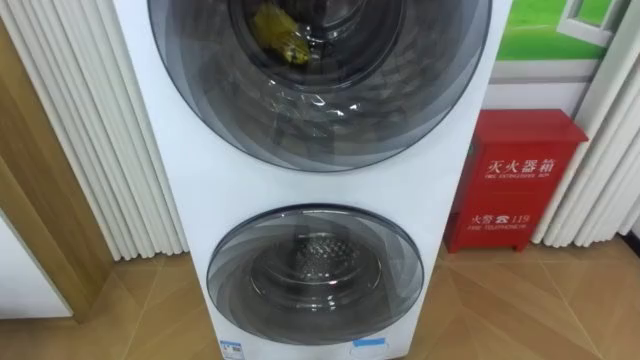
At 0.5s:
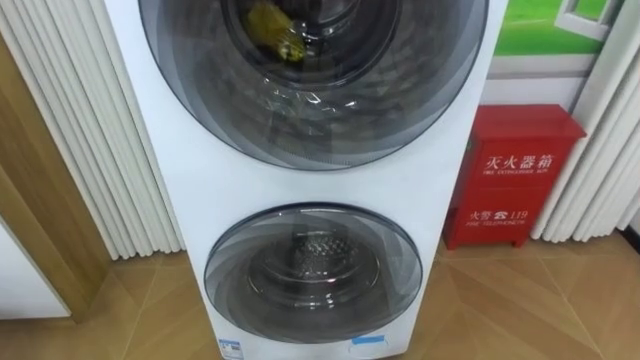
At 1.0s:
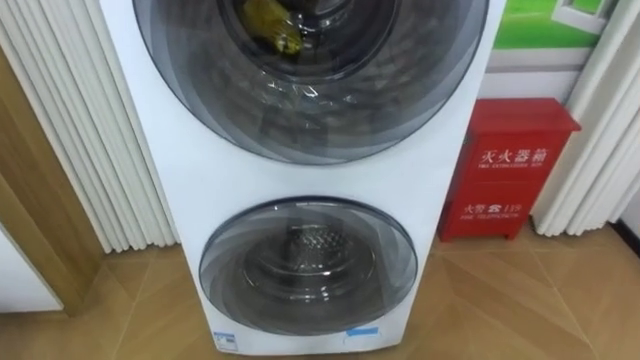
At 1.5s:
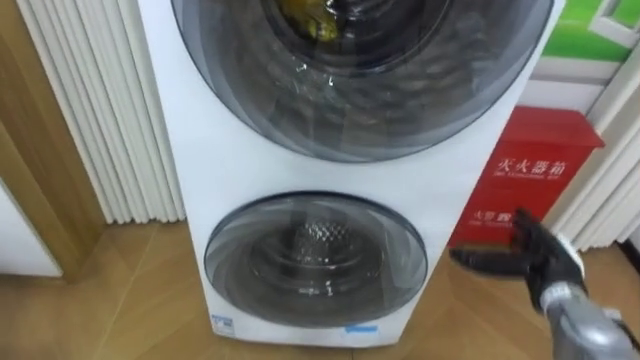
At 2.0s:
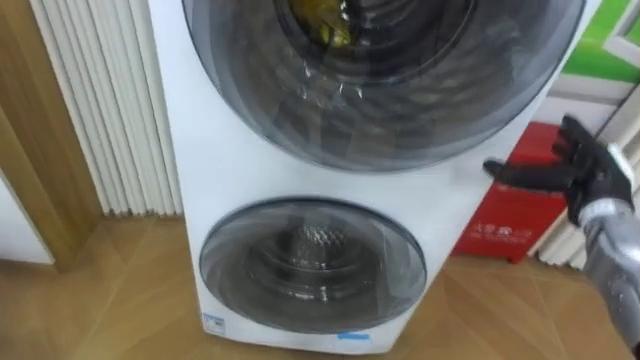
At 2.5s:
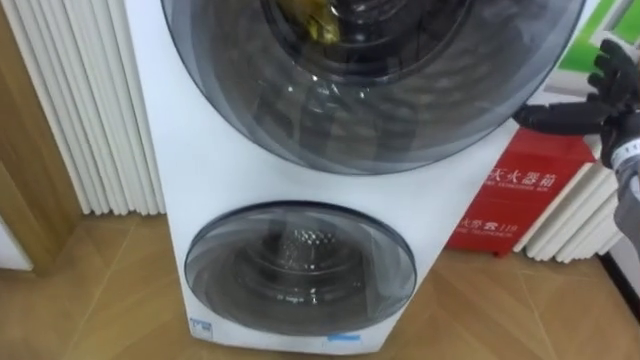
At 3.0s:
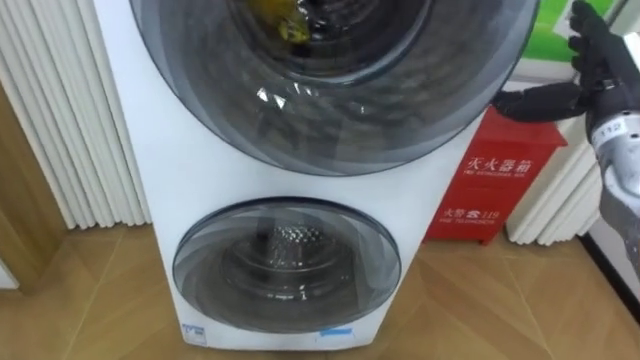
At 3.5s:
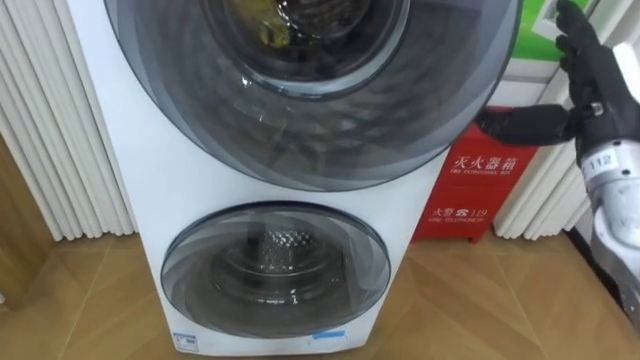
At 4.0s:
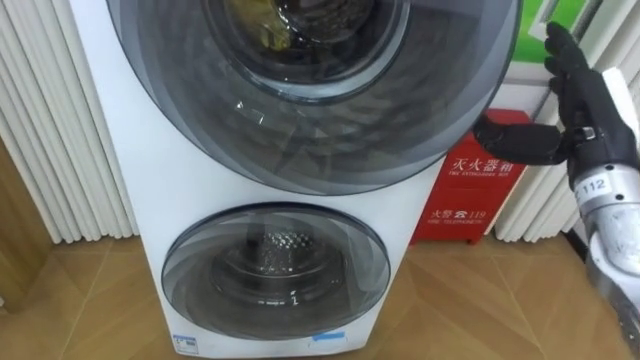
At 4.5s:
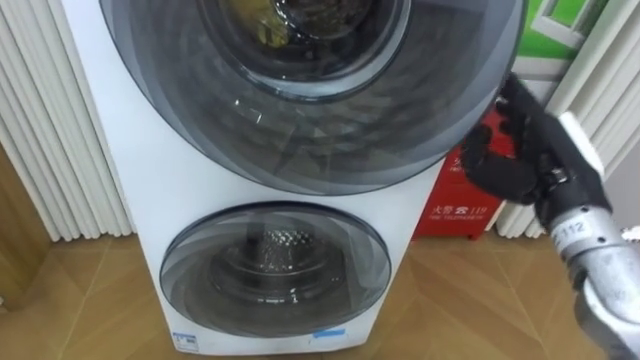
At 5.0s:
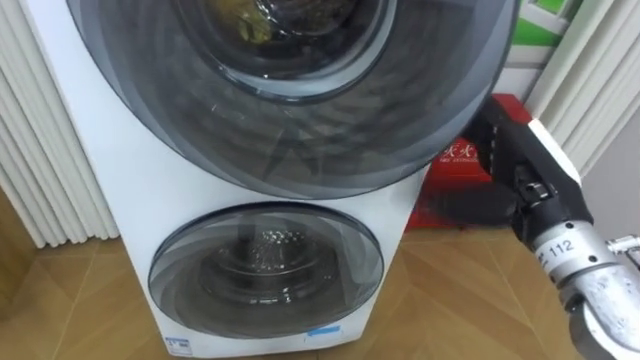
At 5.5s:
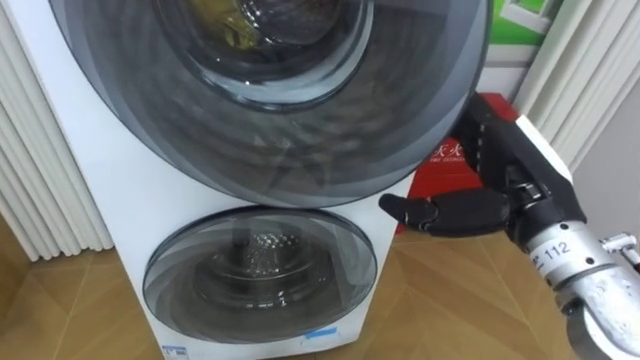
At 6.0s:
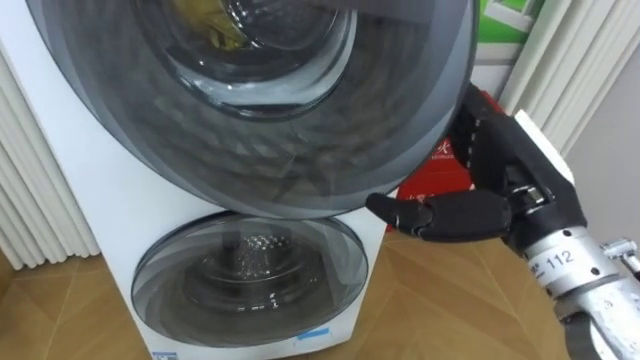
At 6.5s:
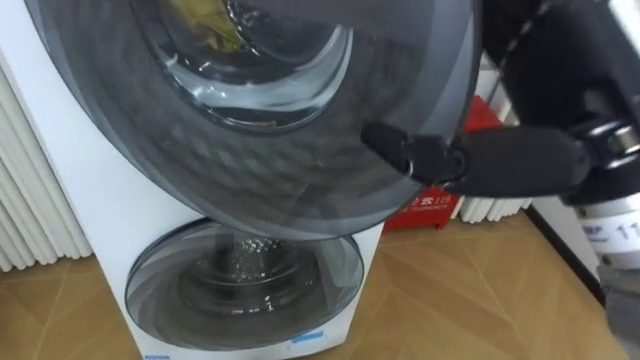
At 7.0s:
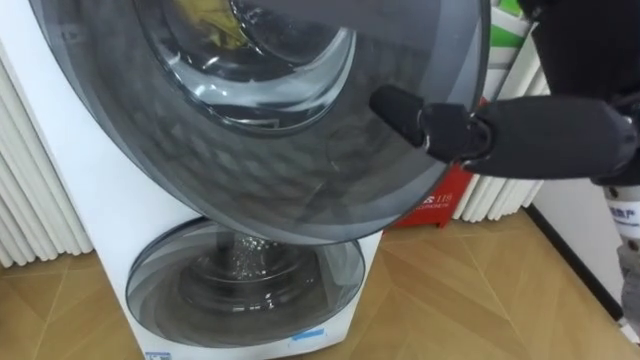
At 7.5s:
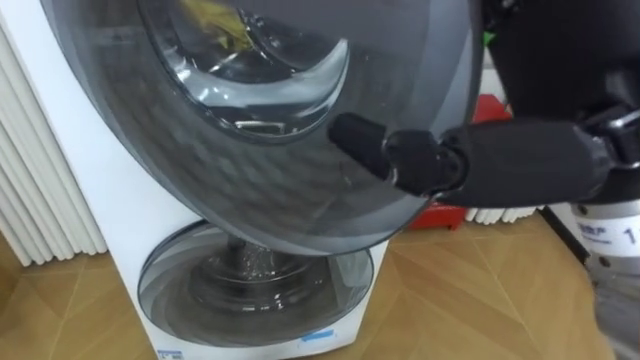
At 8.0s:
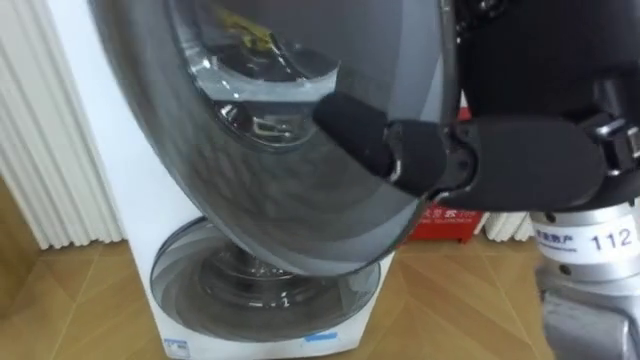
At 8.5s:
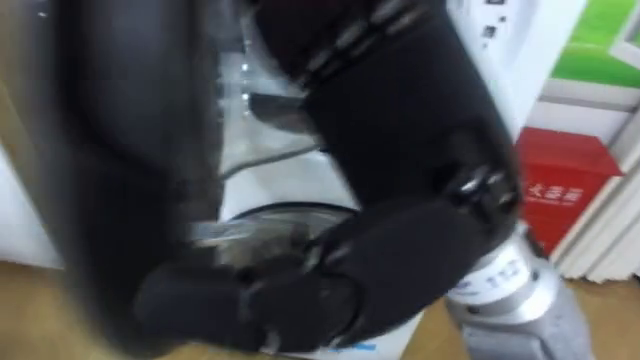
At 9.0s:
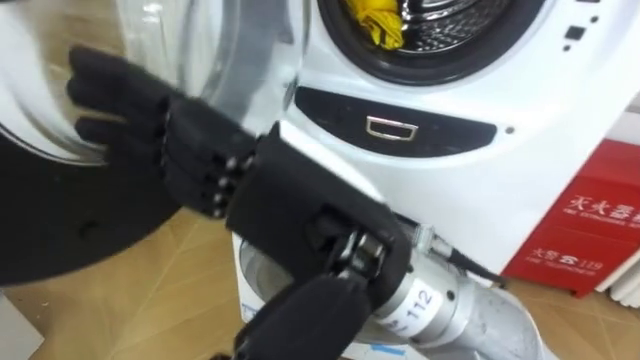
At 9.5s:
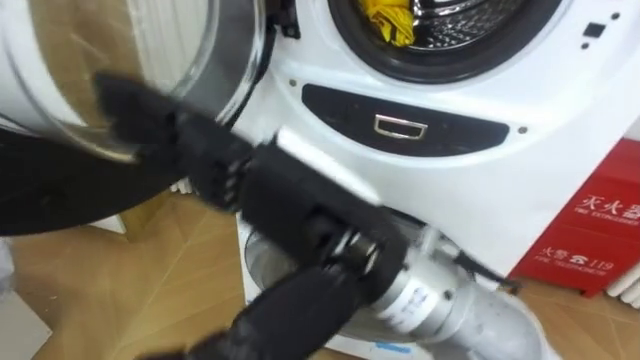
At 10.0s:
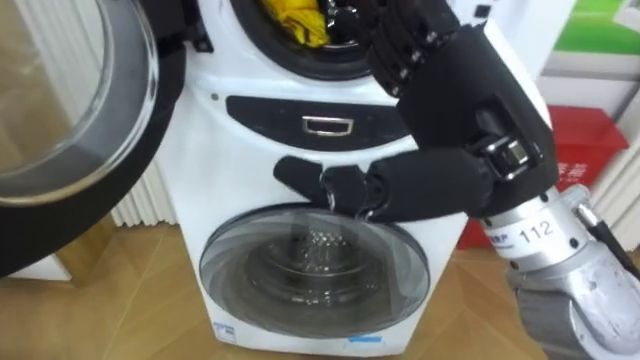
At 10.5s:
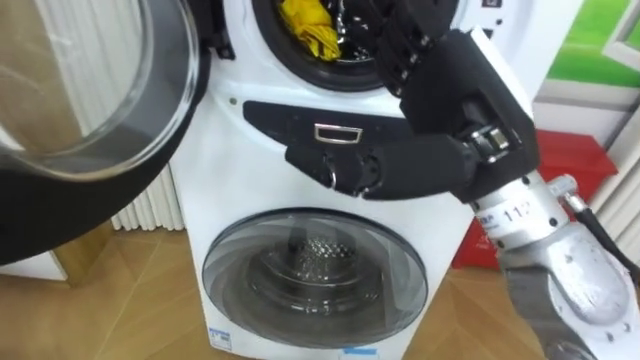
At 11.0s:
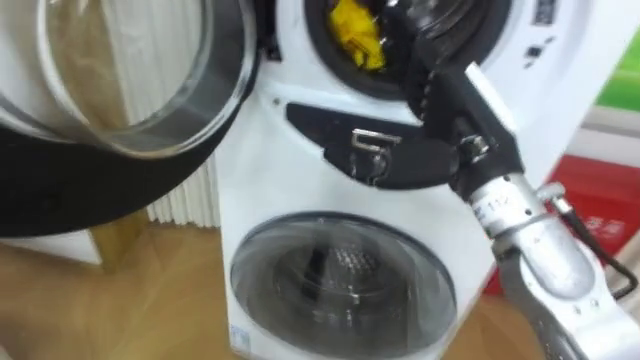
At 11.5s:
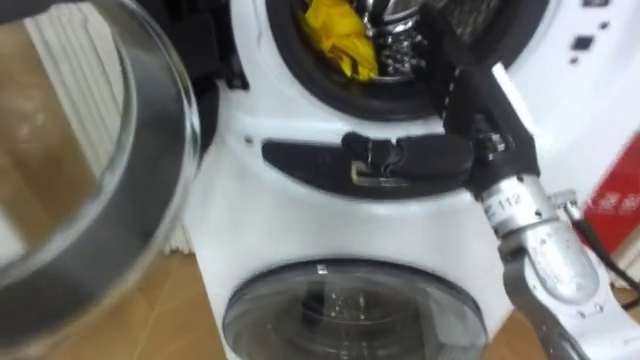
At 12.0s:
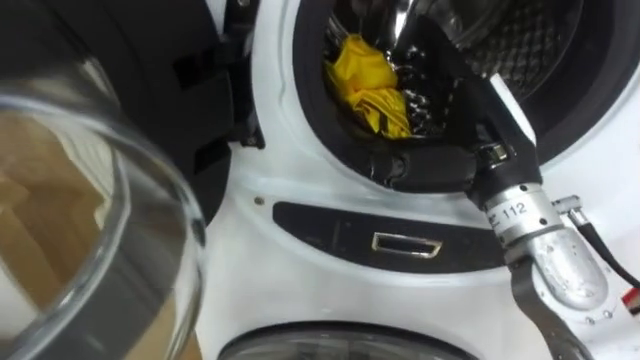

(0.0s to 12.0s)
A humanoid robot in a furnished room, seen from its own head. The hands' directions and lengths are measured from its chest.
Task of the whole recording: Open the washing machine door, take out the yellow clothes, place them in the box on the right, and close the washing machine door.
2.0s - 4.0s: The right hand is displaced upward and to the left by approximately 10 cm.
4.0s - 6.0s: The right hand moves to the left and backward, roughly 10 cm.
6.0s - 8.0s: The right hand heads upward and backward, covering some 15 cm.
8.0s - 10.0s: The right hand reaches about 15 cm to the left, then returns.
10.0s - 12.0s: The right hand shifts roughly 10 cm forward and downward.

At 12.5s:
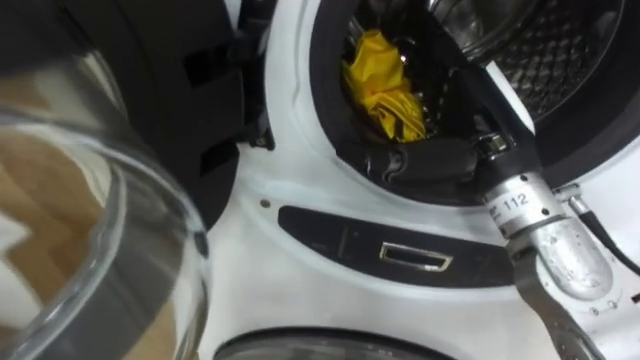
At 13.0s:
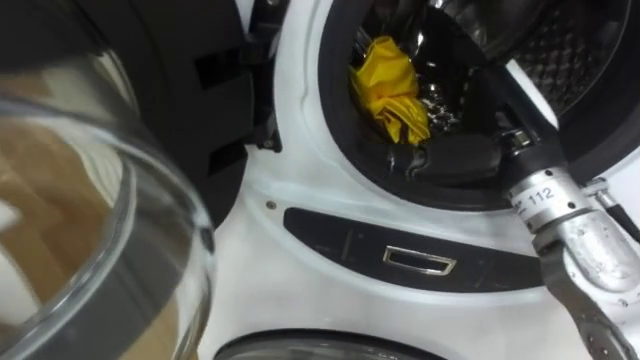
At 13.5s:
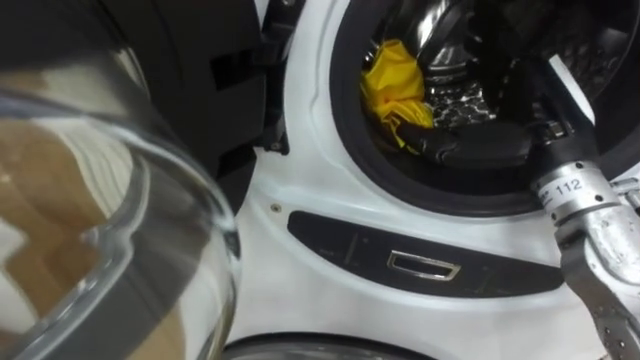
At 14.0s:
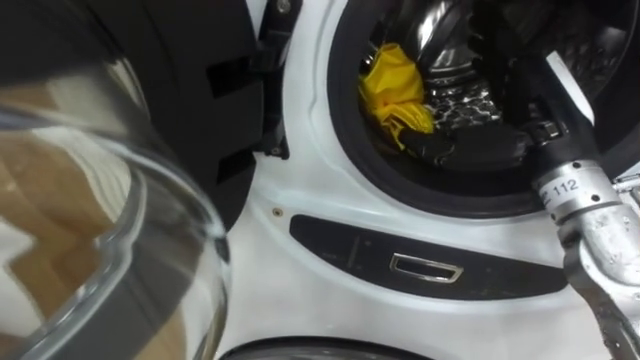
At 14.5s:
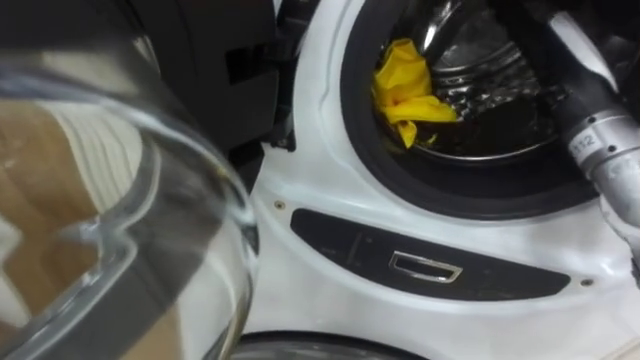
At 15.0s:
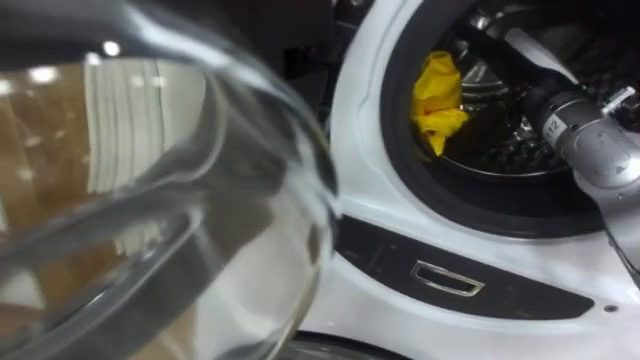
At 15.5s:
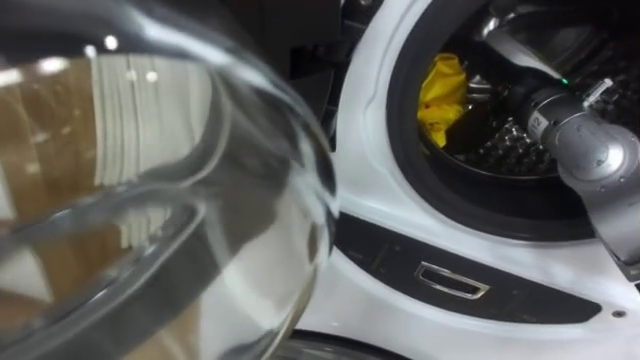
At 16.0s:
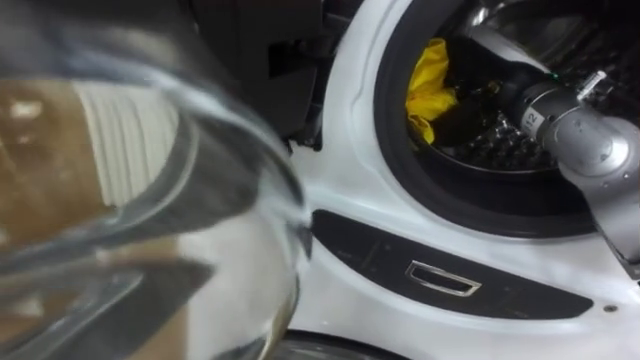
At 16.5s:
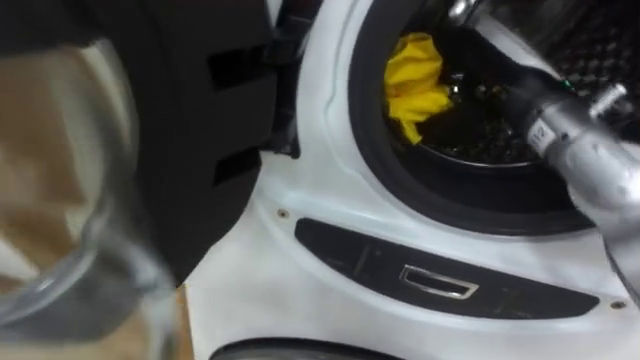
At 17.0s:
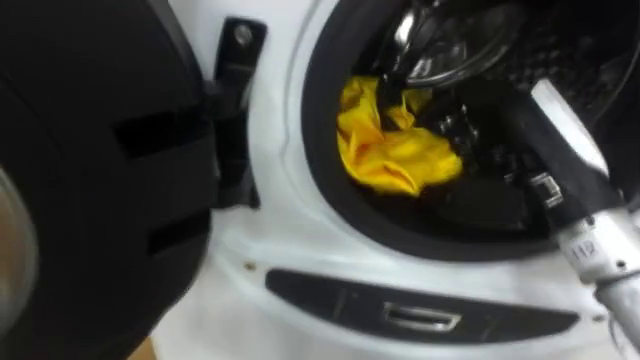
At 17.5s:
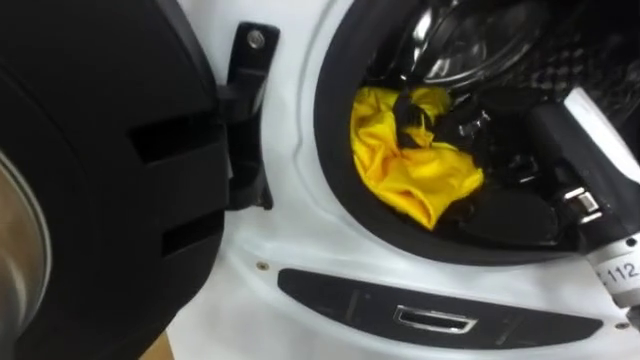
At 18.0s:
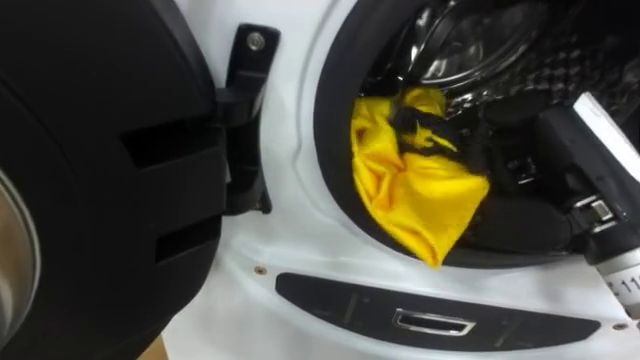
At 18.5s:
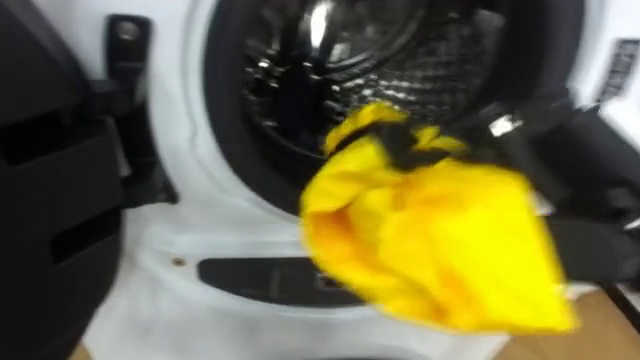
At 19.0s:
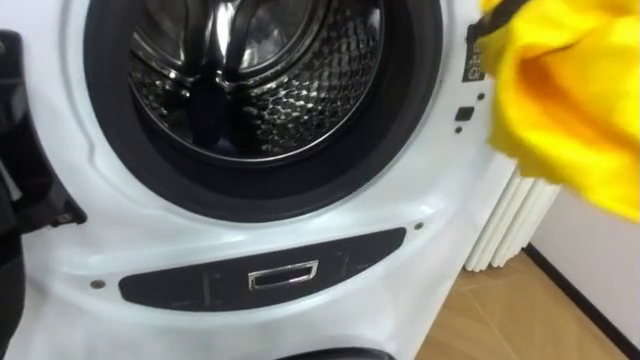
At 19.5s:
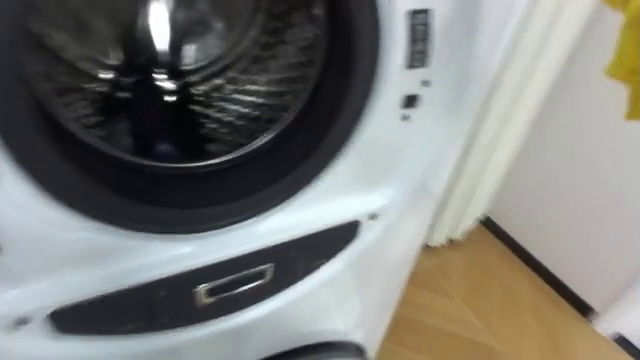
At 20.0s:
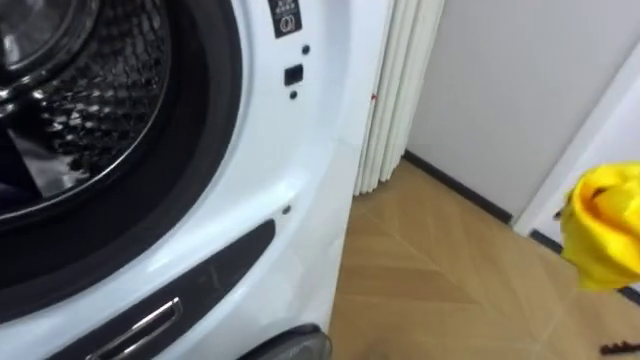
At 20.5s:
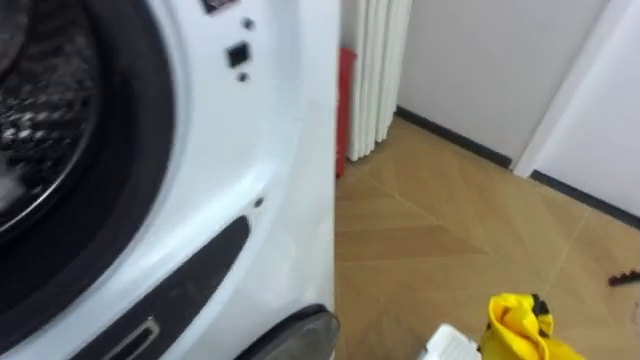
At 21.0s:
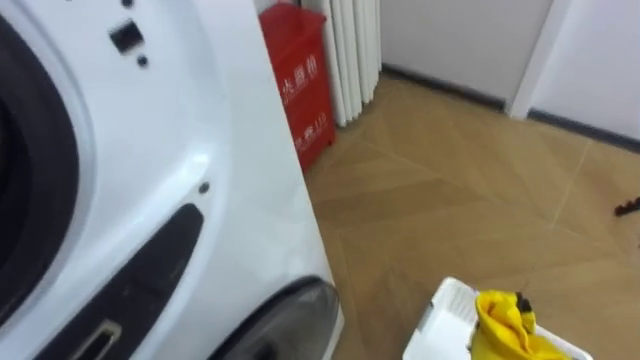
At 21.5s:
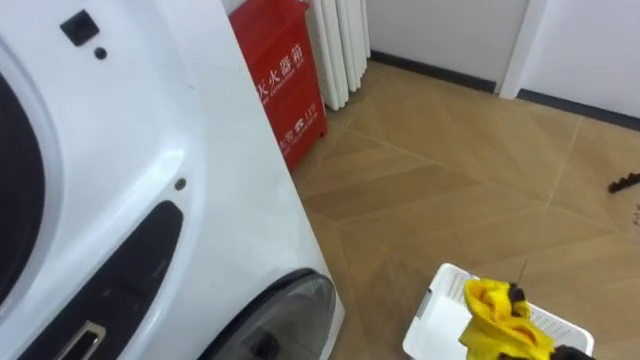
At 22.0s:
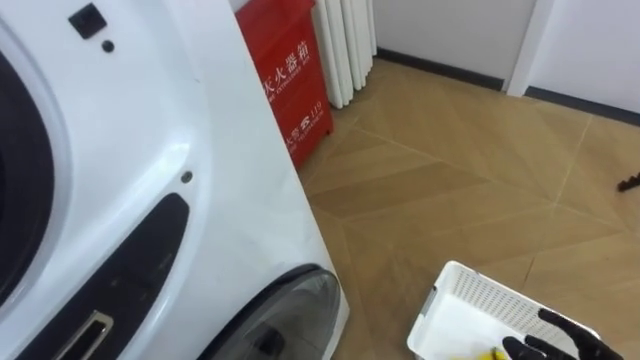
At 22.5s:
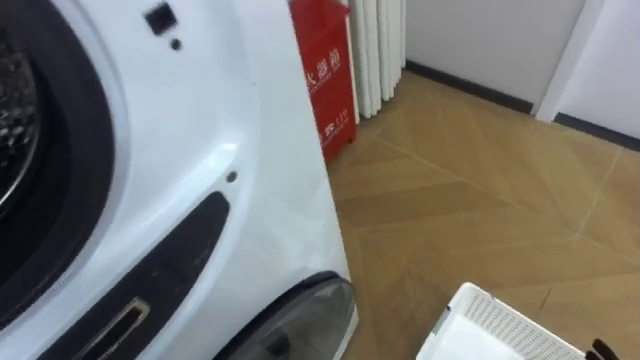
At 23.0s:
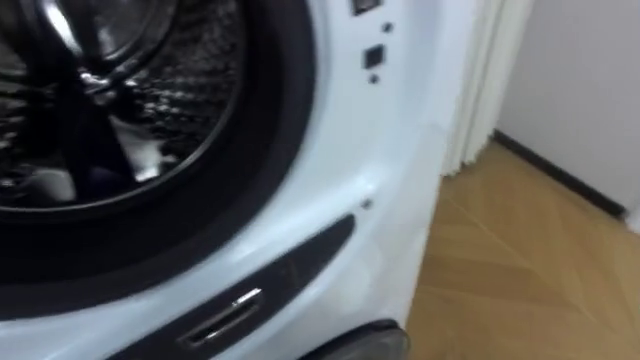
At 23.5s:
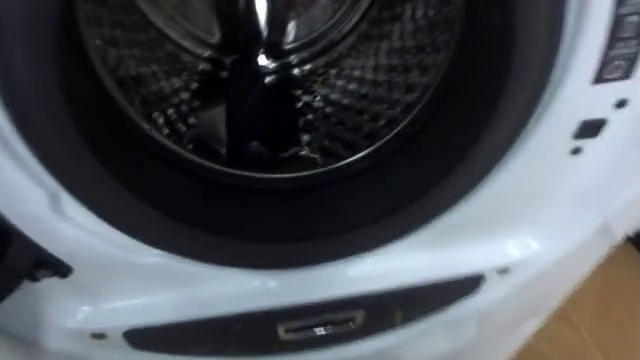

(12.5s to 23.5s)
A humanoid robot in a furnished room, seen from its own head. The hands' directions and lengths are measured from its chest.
Task of the whole recording: Open the washing machine door, take out the yellow clothes, place them in the box on the right, and close the washing machine door.
12.5s - 14.5s: The right hand shifts approximately 10 cm to the right.
14.5s - 16.0s: The right hand moves roughly 5 cm, and closes up.
16.0s - 18.0s: The right hand heads backward, covering some 15 cm.
